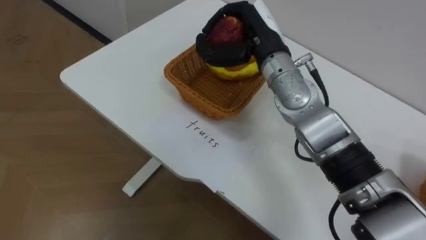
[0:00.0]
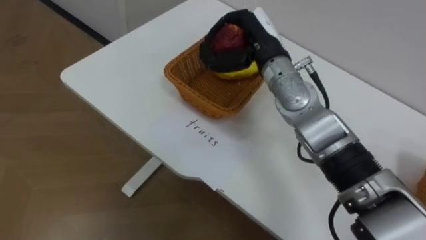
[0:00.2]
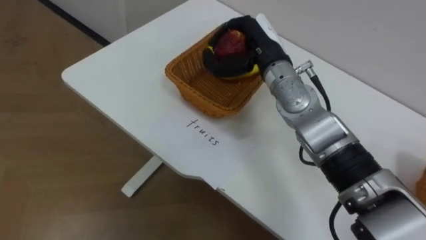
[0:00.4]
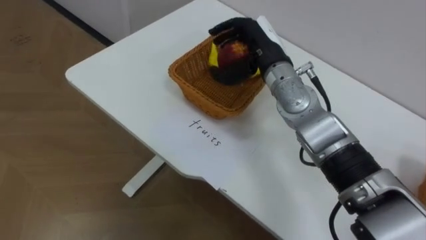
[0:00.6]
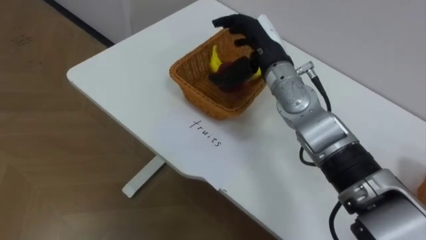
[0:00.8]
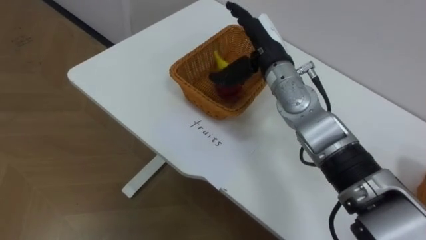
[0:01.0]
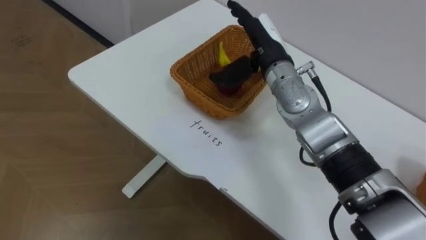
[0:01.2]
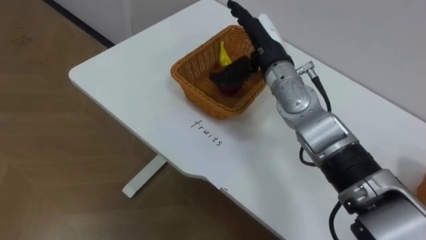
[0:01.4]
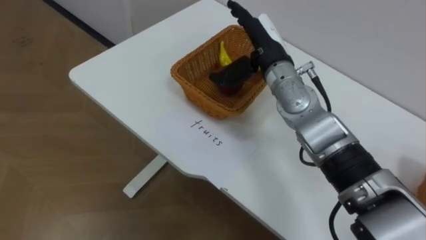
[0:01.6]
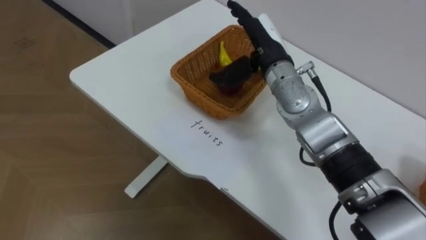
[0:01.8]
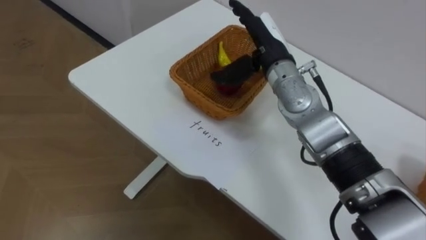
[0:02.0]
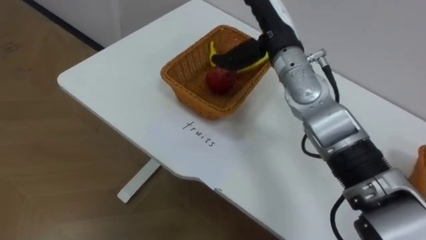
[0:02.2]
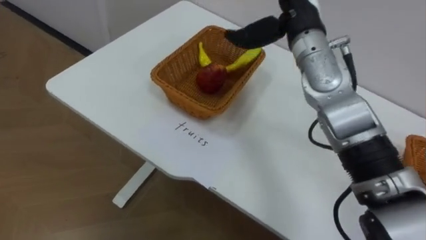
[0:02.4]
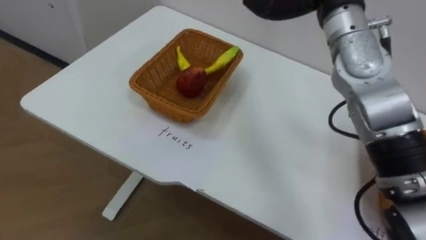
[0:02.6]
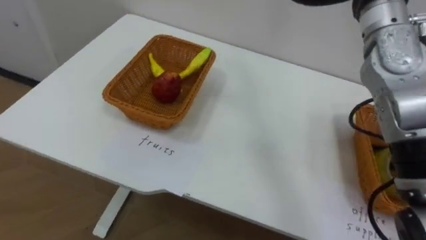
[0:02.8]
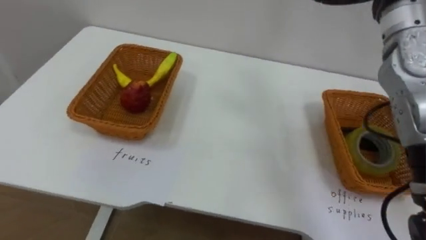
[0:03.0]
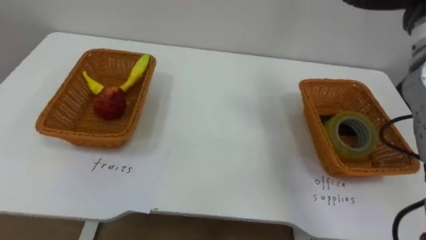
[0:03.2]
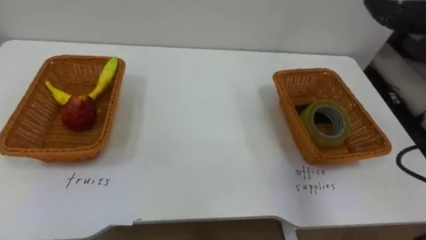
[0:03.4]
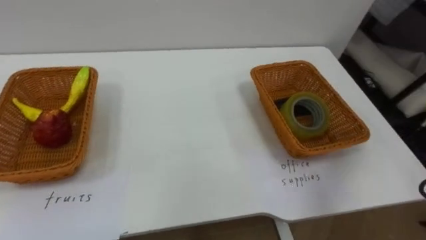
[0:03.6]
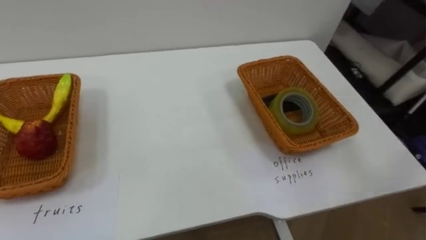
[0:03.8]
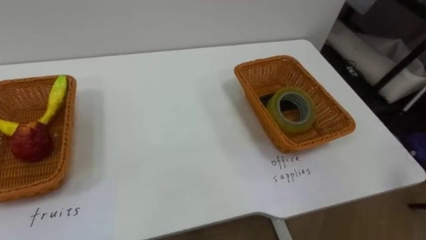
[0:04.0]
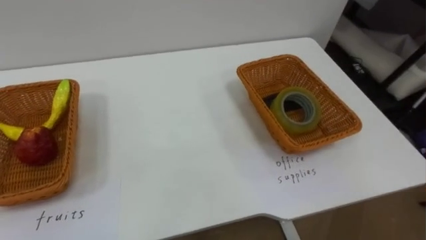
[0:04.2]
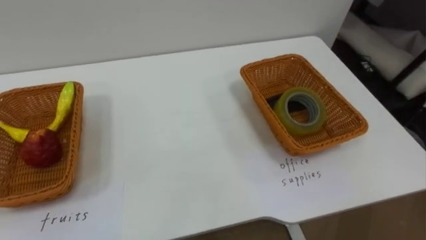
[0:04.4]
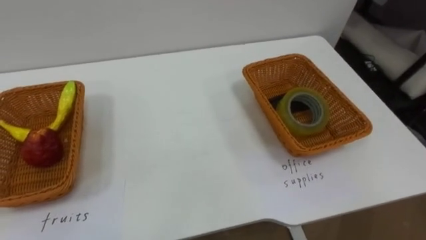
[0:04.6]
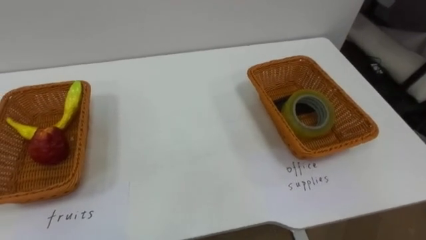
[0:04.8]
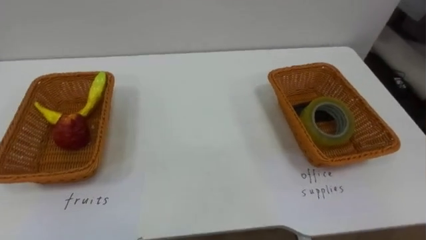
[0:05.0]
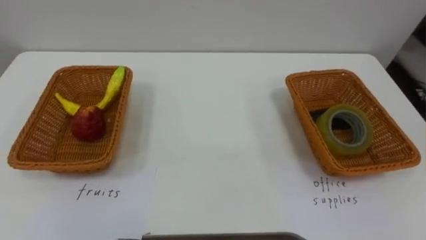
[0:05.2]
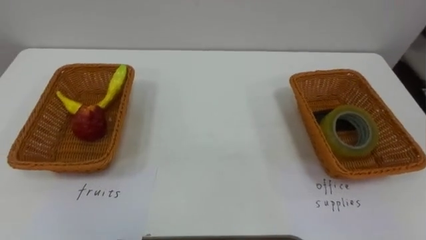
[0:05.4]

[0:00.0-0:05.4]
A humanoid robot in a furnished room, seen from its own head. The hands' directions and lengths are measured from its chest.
Task of the whole recording: Separate the items on the table and place them into the two baskets.
0:00.0 to 0:01.4: The right hand opens its fingers.

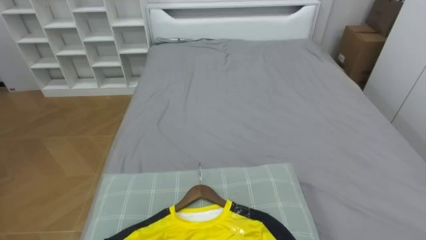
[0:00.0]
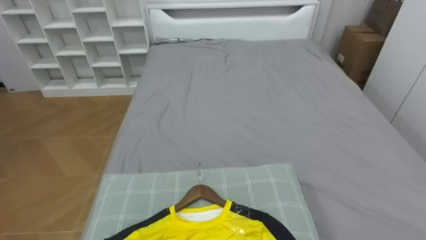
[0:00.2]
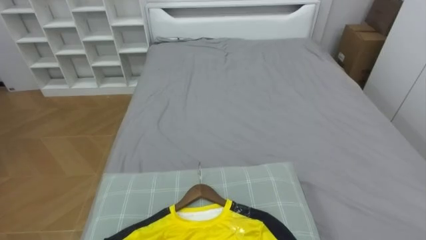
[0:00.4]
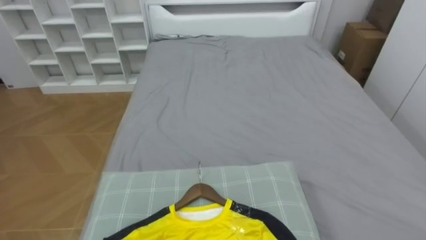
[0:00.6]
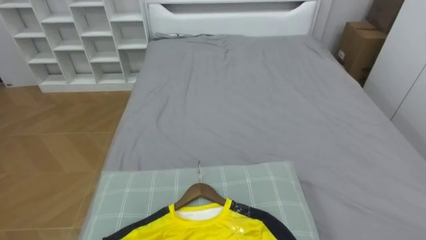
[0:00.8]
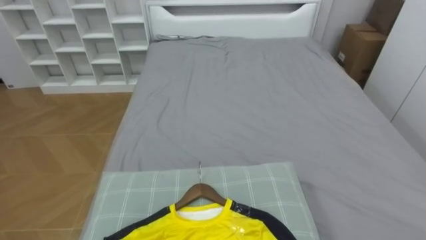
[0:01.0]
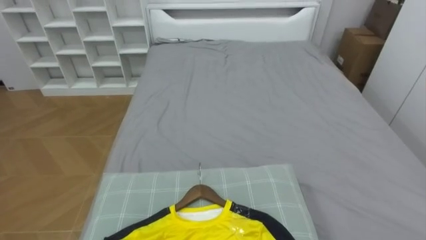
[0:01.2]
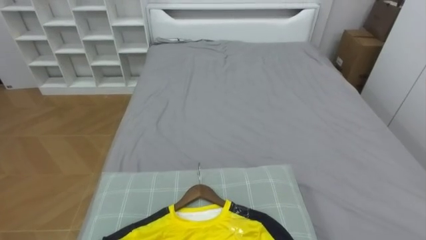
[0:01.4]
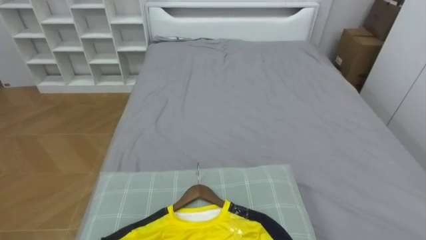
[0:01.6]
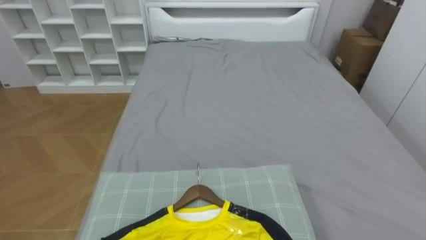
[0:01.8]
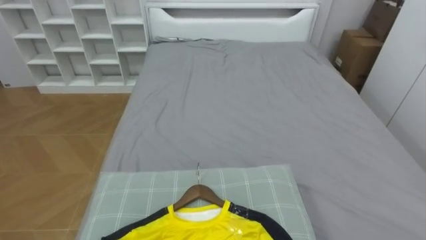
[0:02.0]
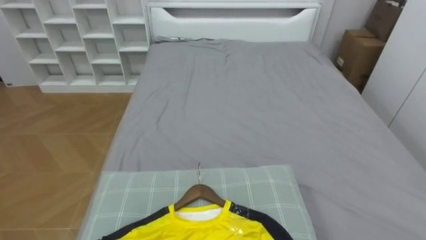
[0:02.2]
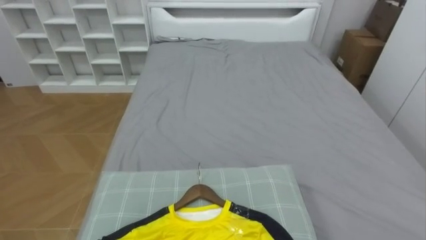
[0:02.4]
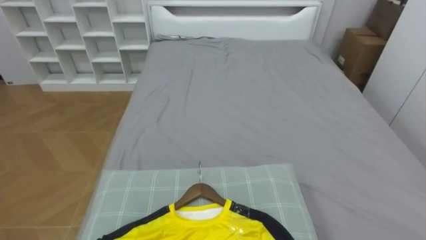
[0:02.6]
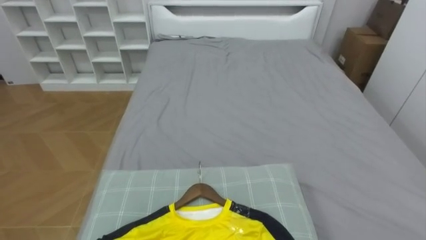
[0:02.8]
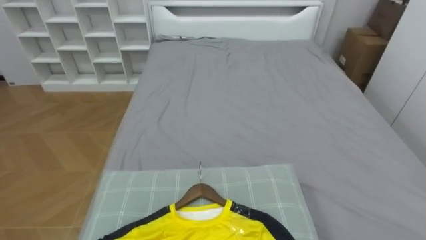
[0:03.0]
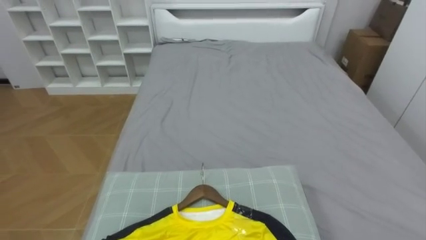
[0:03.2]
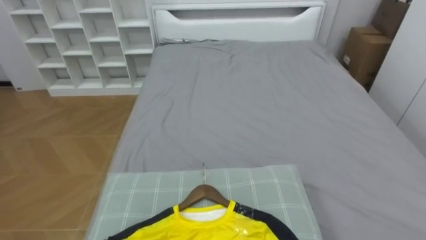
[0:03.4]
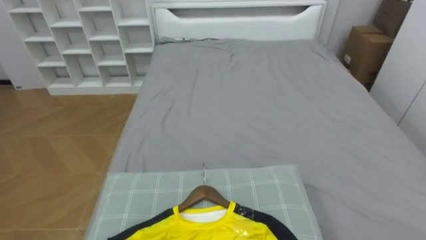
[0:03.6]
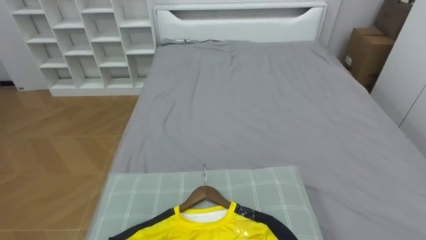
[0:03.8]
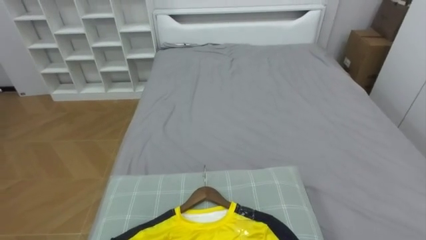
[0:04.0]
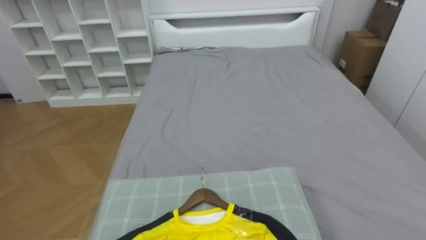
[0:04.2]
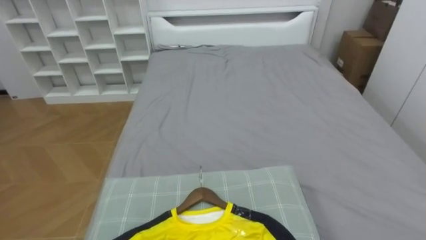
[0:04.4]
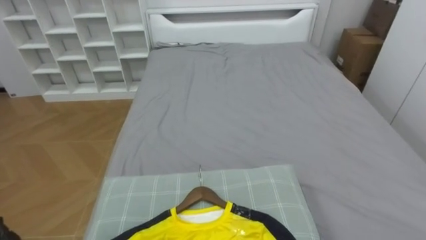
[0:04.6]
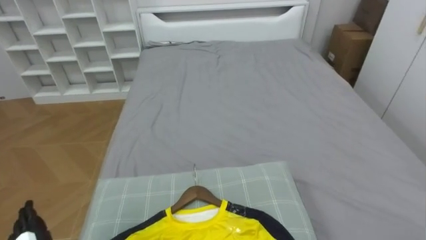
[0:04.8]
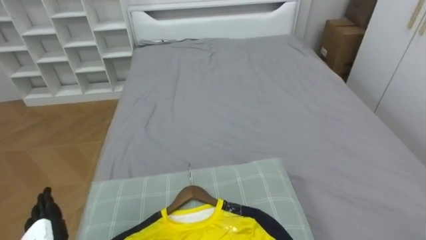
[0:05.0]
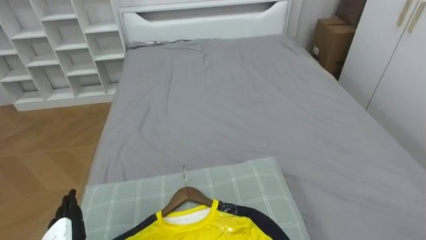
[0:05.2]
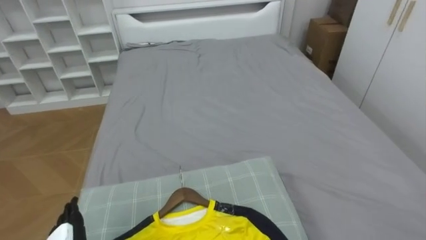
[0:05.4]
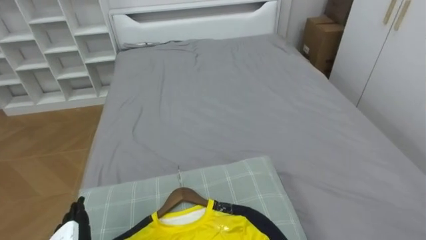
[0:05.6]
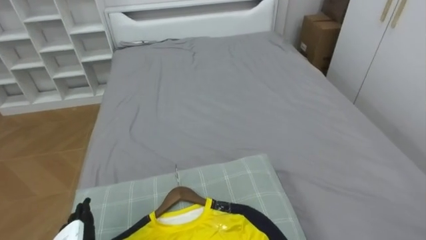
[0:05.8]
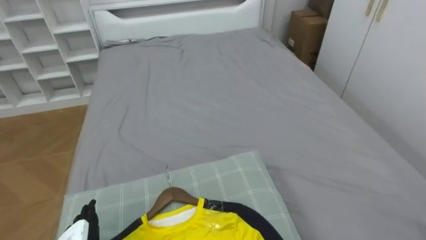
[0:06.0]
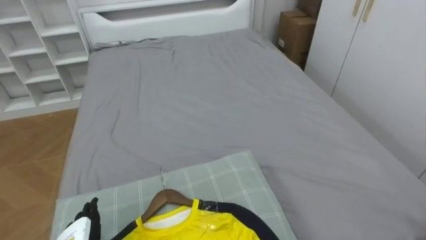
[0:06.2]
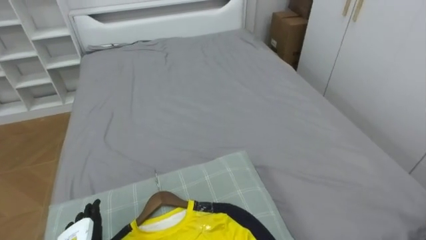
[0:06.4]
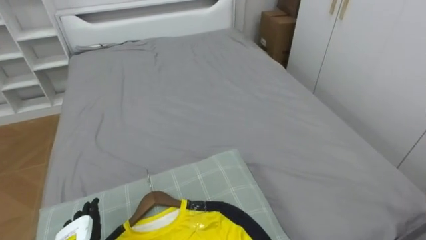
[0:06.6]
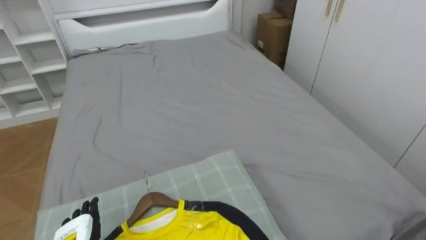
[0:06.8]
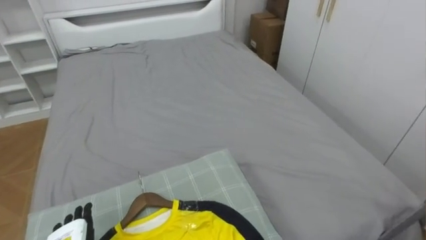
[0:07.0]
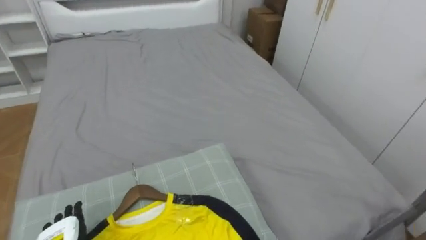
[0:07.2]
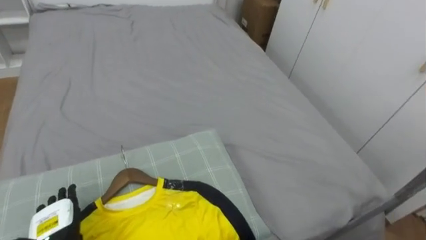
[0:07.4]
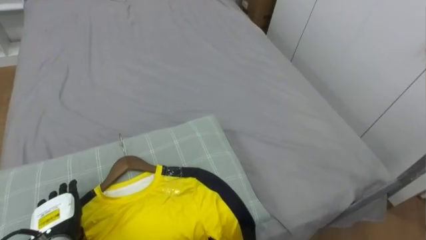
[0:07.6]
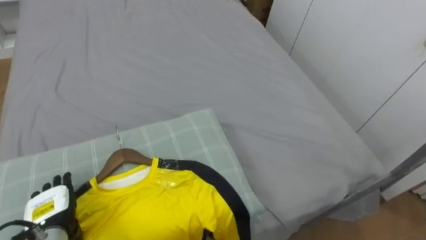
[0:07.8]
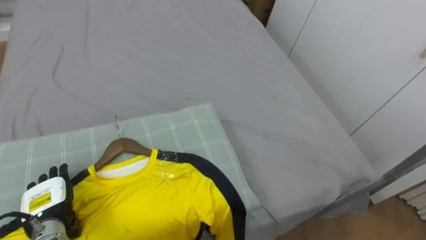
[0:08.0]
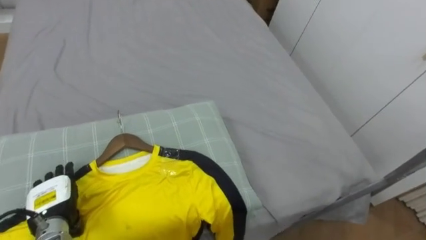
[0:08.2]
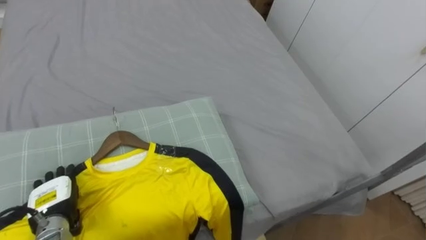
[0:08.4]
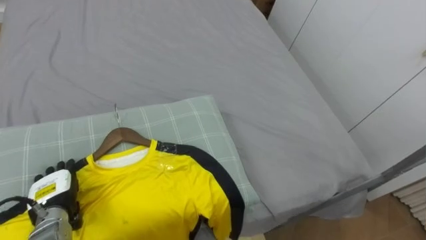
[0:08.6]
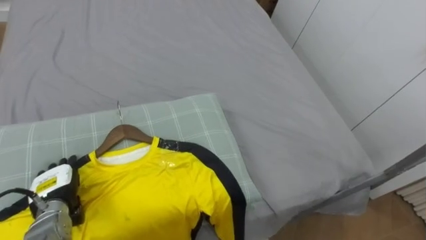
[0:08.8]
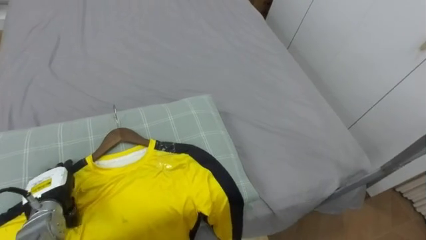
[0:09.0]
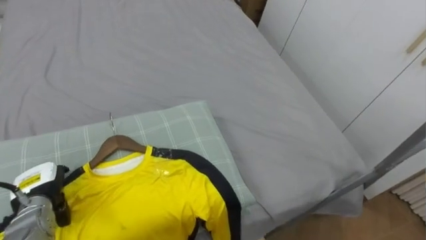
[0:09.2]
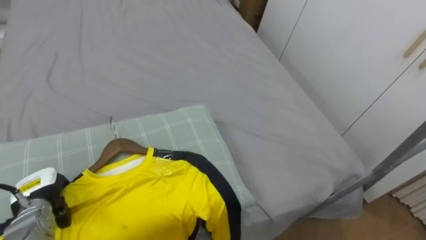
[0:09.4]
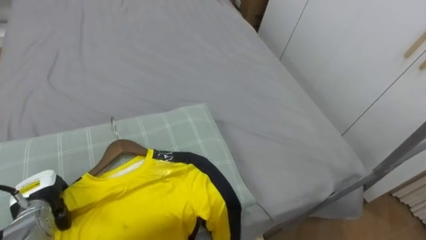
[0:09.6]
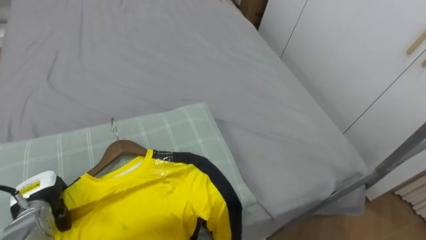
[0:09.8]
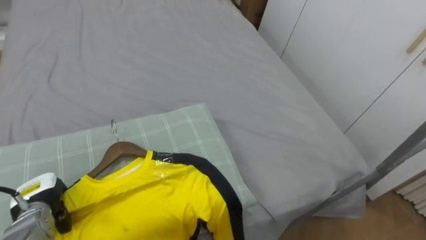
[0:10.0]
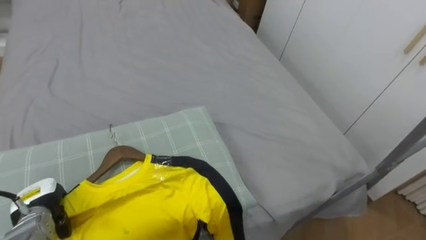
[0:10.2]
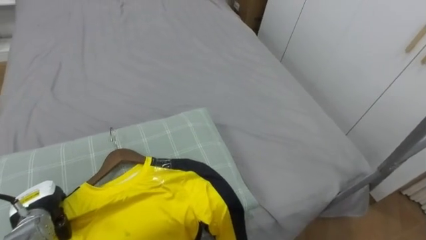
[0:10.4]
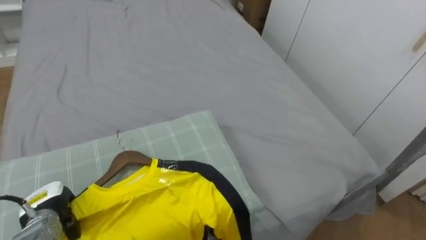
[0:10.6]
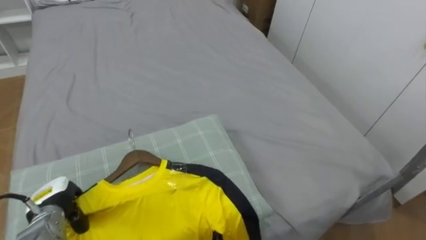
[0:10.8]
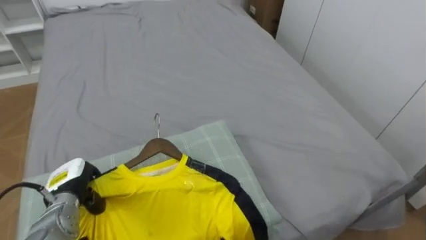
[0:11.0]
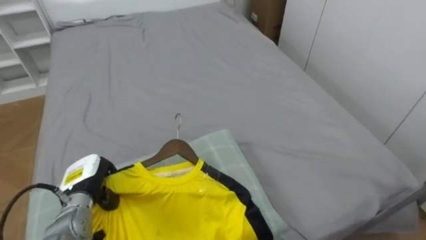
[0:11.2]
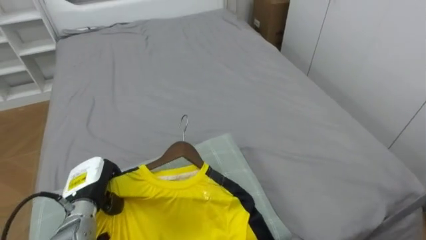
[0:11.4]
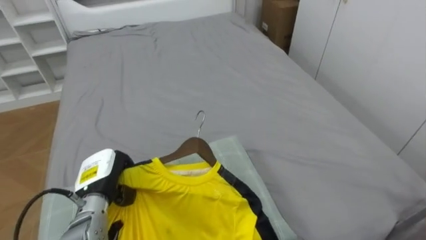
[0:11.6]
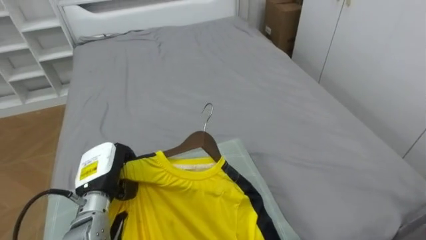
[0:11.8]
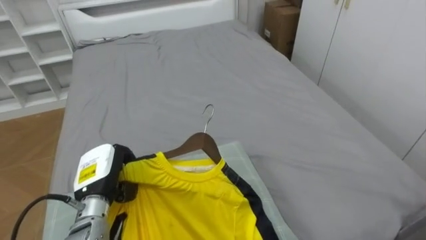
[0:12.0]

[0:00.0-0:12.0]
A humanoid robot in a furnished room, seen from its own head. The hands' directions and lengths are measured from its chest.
Task of the whole recording: Pick up the yellow shirt on the bed and hang it on the clothes rack on the right.
0:07.6 to 0:09.0: The left hand shifts by about 5 cm.
0:09.0 to 0:10.4: The left hand closes its fingers.
0:10.4 to 0:12.0: The left hand heads to the right and upward, covering approximately 15 cm.
